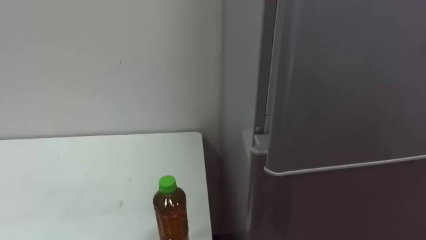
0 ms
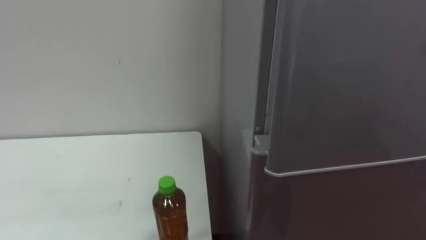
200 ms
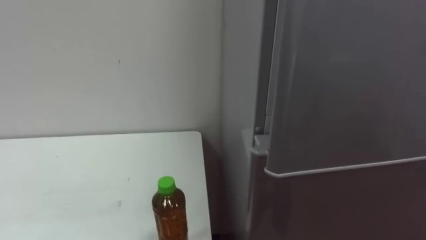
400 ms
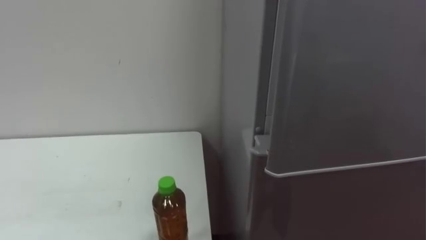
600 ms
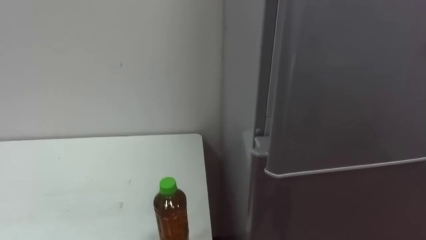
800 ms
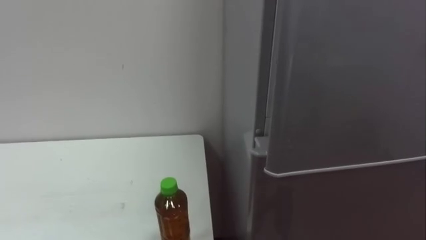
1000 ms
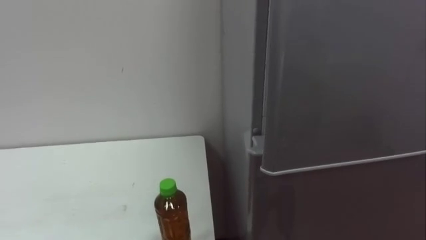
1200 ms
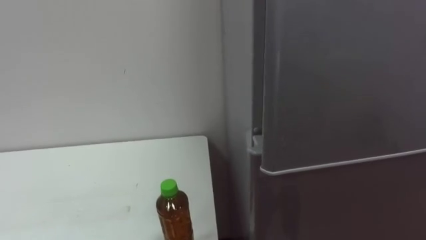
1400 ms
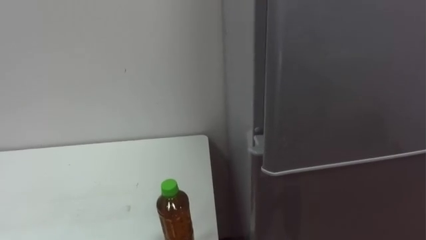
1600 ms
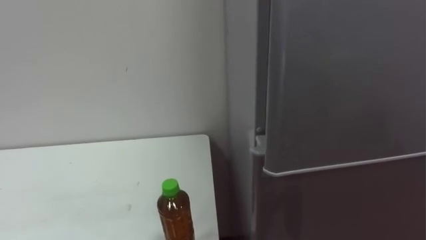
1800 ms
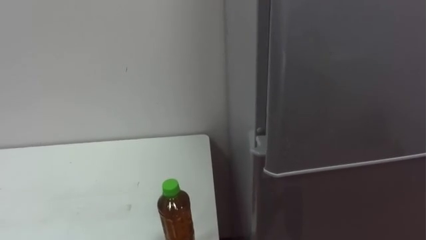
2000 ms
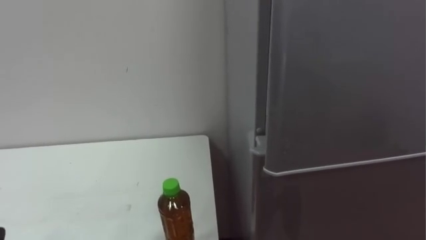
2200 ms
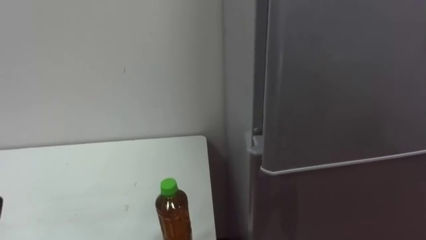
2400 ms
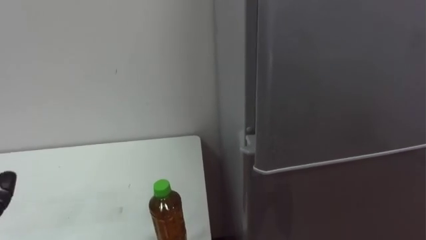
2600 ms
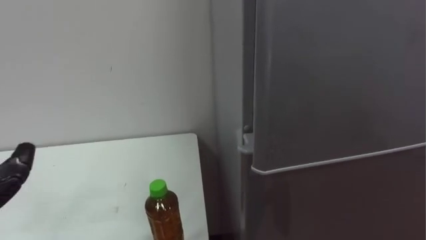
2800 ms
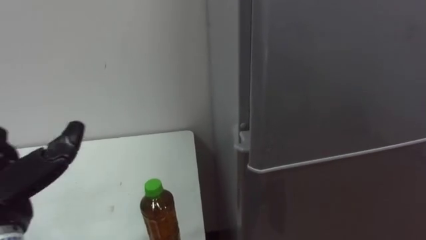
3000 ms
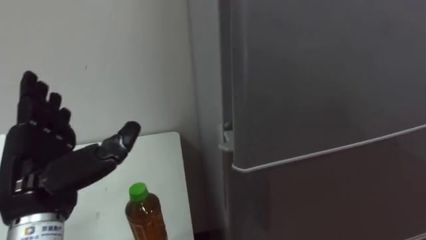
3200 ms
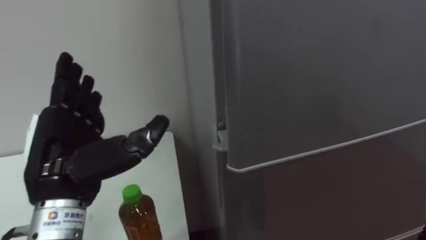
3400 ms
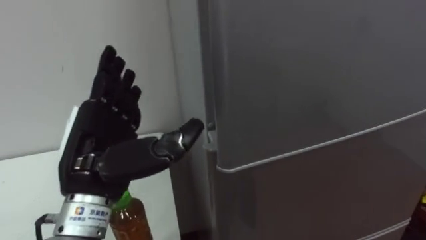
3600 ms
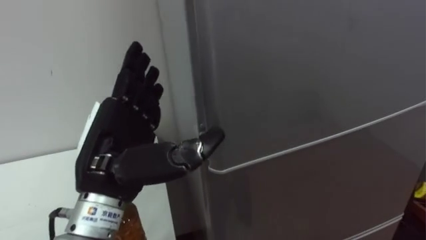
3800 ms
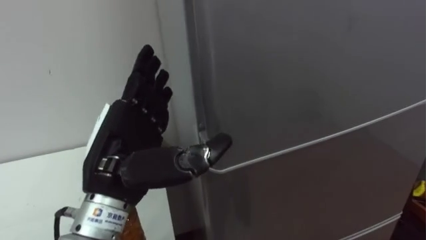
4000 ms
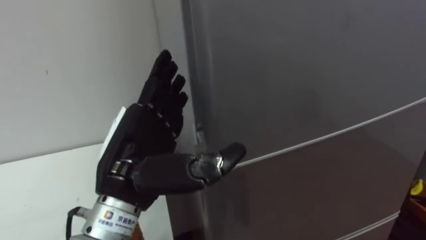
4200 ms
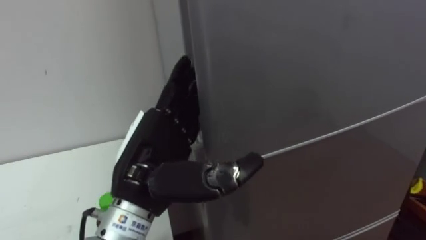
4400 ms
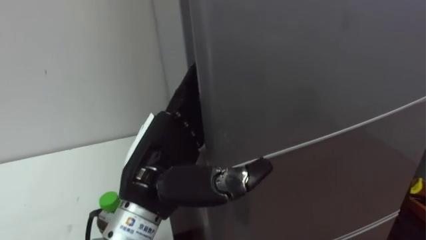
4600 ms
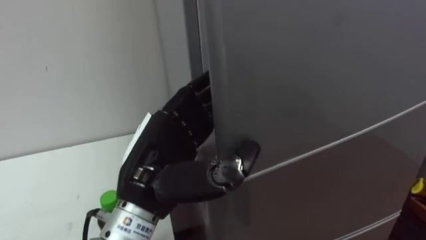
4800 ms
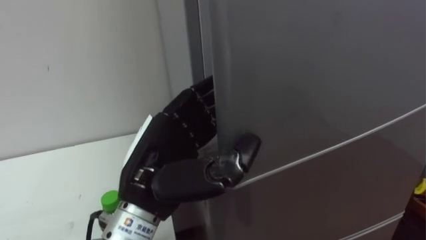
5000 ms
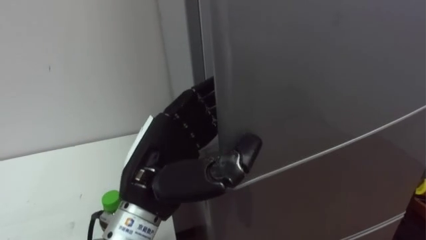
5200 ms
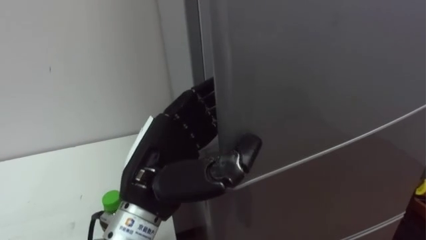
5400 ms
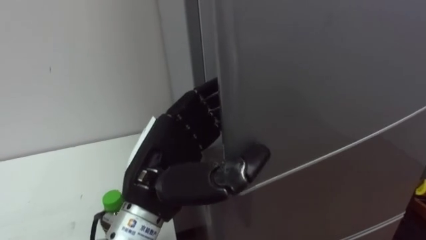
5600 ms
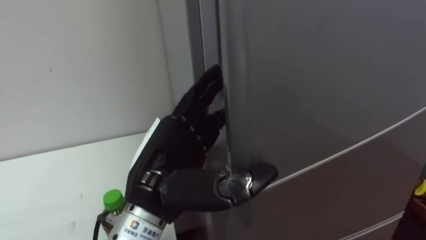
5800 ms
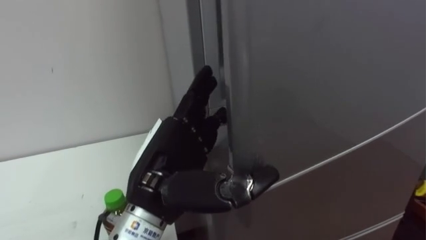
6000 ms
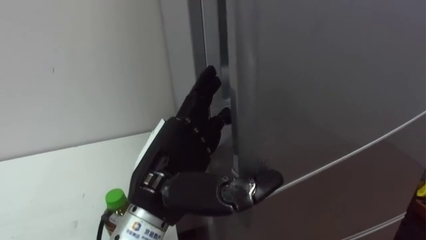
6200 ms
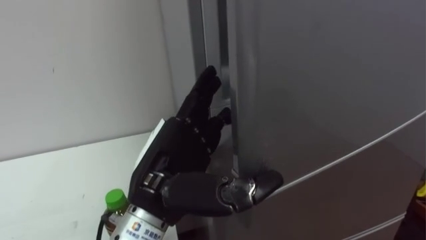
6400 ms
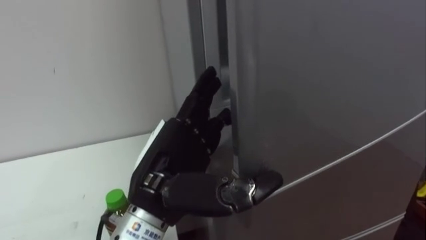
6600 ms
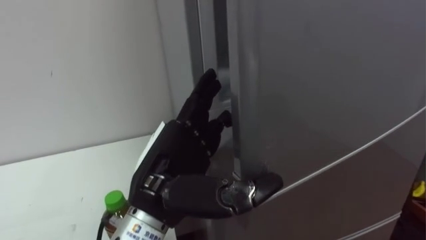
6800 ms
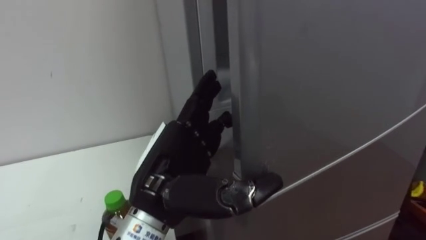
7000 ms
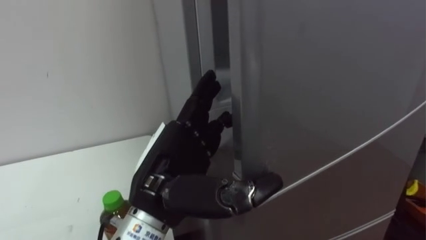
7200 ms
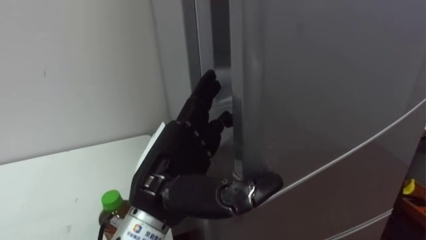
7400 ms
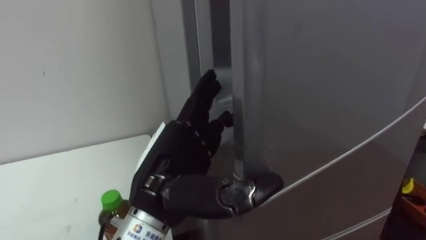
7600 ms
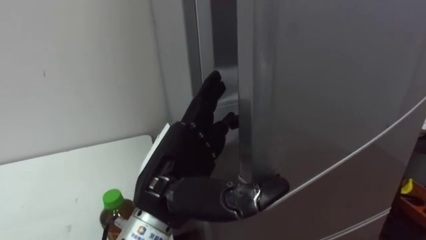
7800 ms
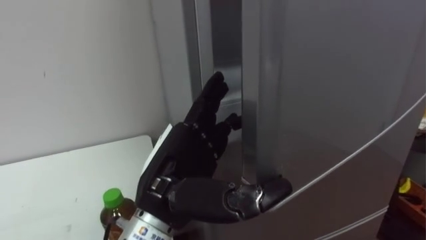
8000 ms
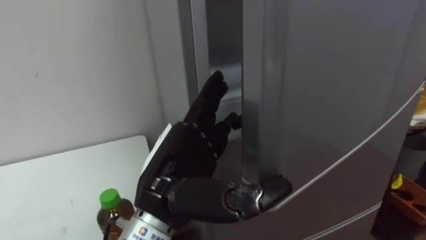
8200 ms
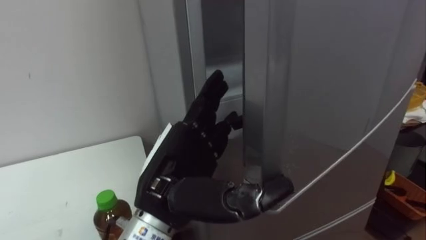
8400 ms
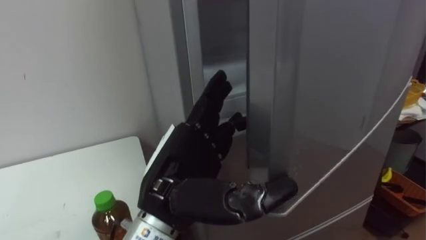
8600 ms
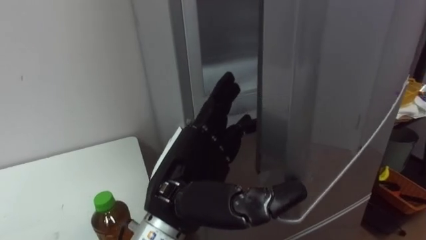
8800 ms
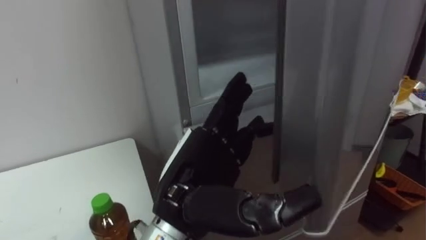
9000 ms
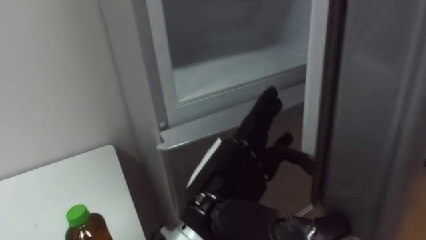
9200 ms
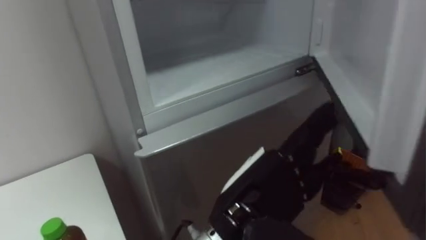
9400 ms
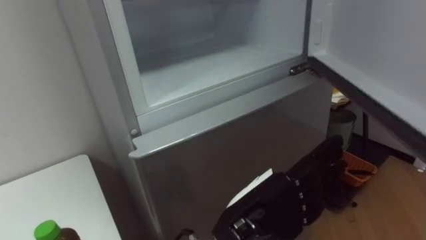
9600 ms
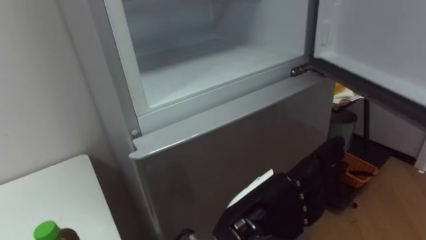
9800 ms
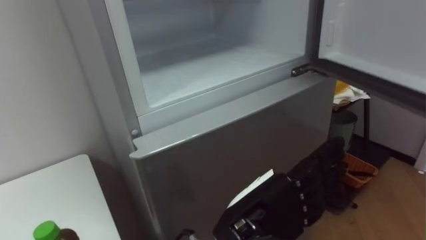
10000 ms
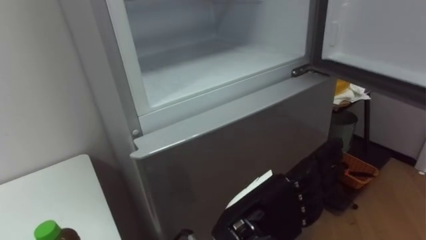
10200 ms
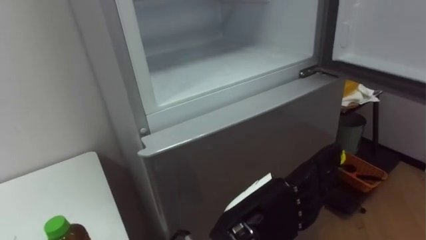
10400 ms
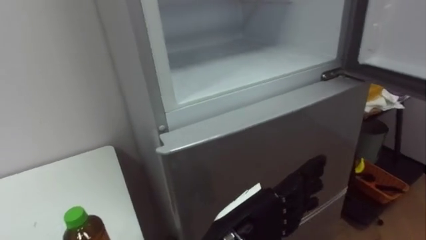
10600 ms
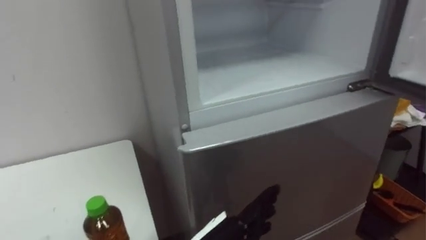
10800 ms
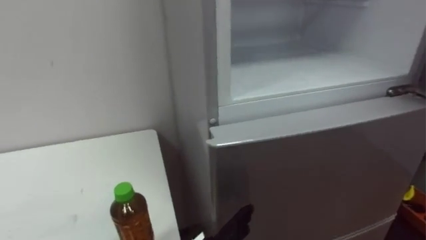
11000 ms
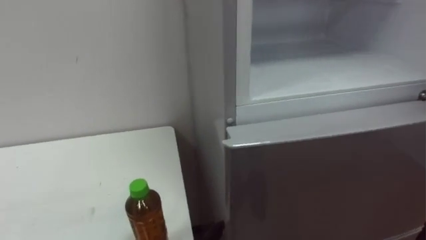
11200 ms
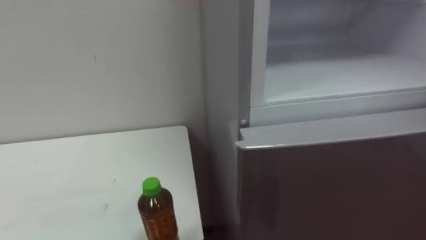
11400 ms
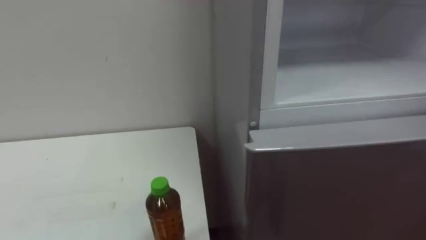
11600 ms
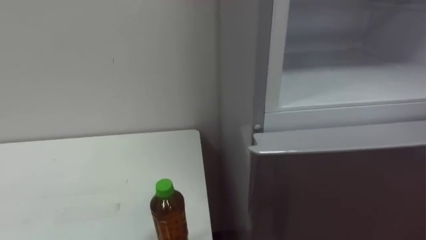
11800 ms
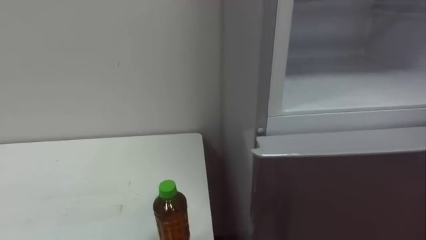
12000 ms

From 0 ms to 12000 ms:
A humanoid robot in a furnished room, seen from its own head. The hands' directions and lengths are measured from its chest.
Task of the whole recording: Open the upper refrigerator door, put the drink from the table into the refrigerator, and then close the refrigerator door.
From 4400 ms to 6000 ms: The left hand closes, then opens again.
From 9000 ms to 10400 ms: The left hand travels to the right by some 5 cm.

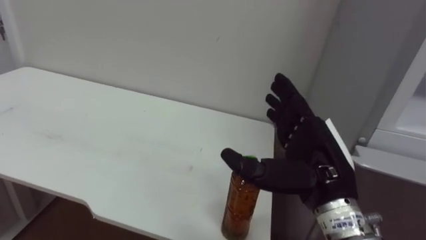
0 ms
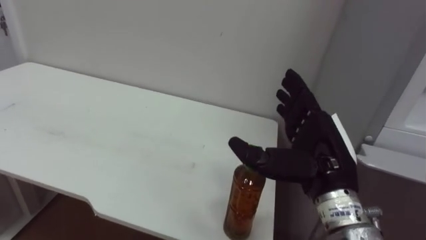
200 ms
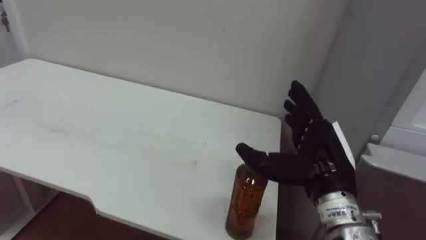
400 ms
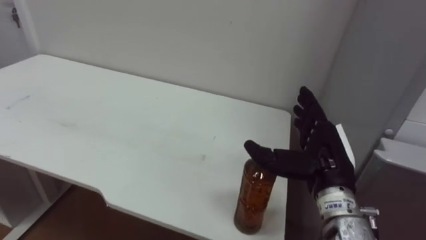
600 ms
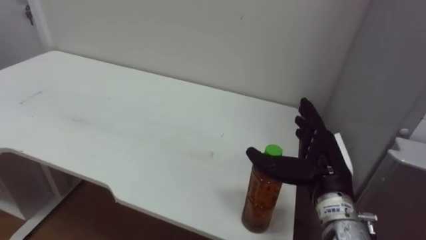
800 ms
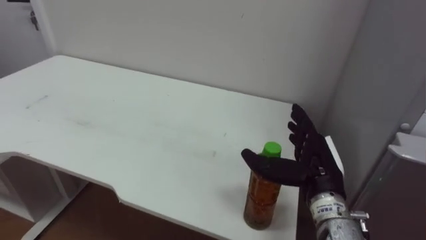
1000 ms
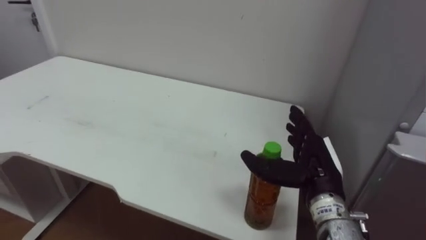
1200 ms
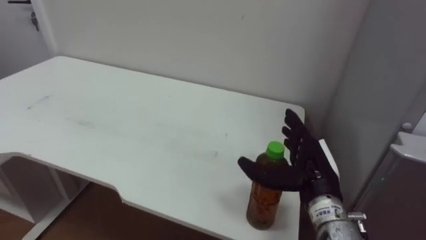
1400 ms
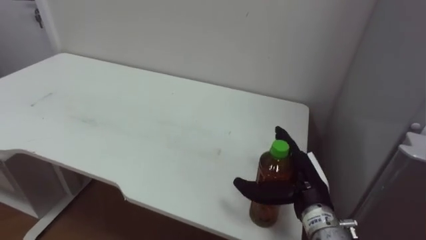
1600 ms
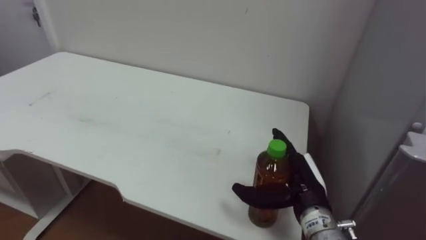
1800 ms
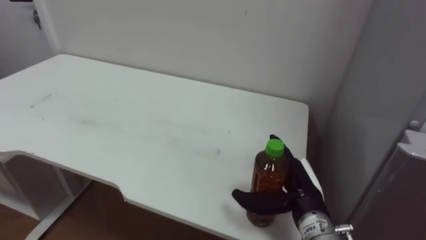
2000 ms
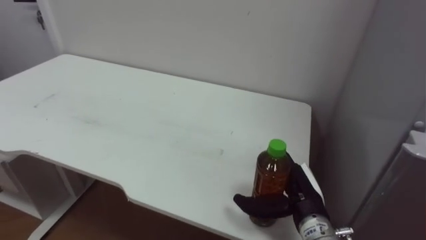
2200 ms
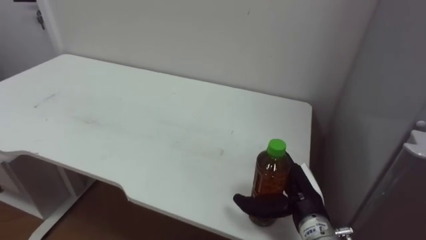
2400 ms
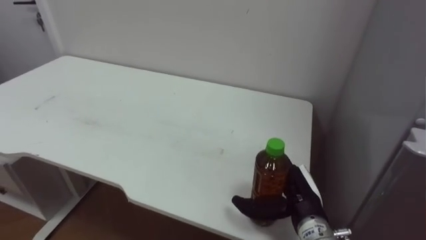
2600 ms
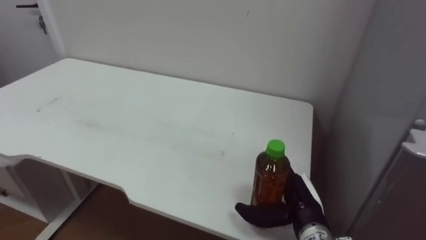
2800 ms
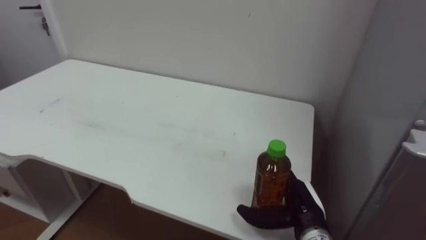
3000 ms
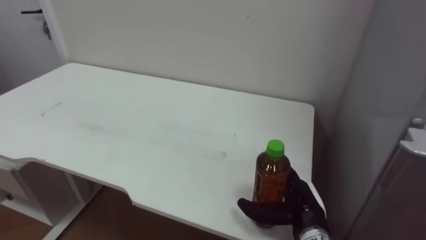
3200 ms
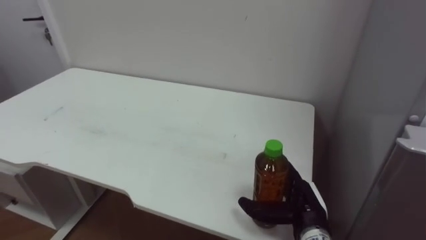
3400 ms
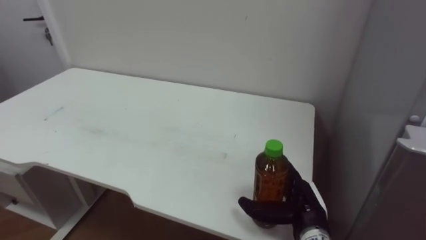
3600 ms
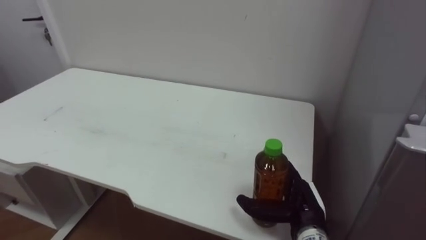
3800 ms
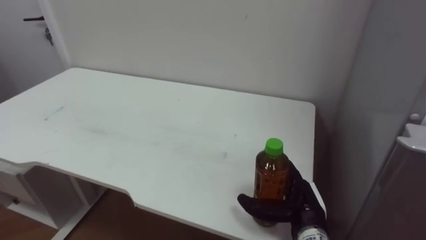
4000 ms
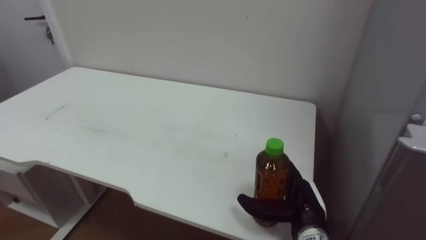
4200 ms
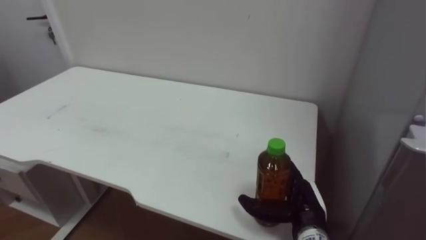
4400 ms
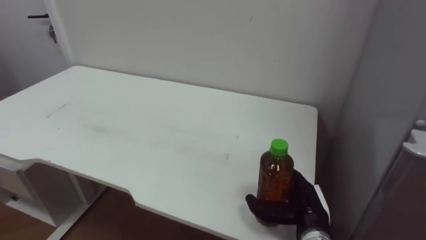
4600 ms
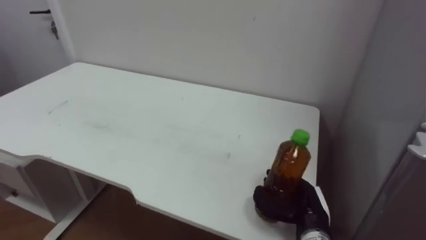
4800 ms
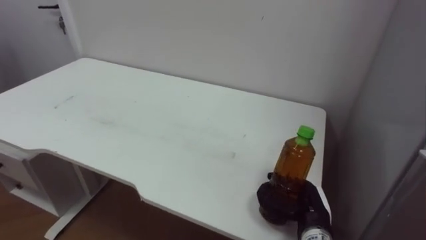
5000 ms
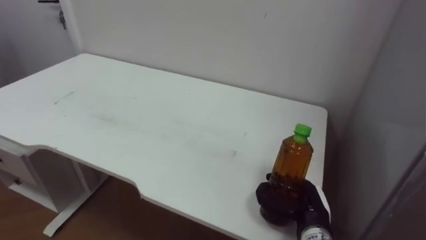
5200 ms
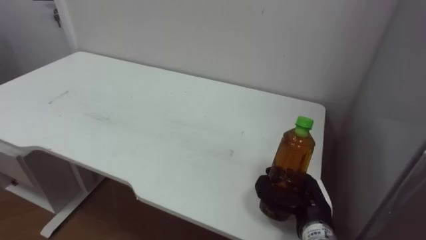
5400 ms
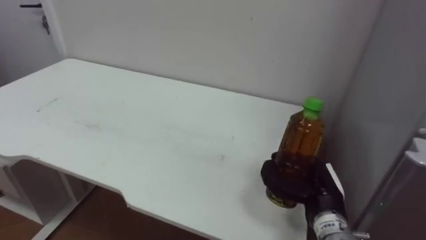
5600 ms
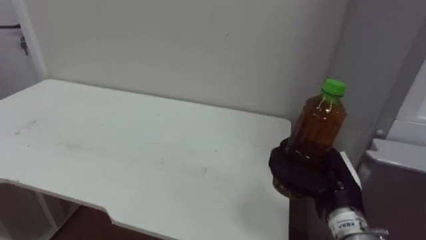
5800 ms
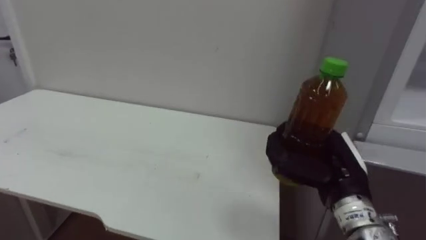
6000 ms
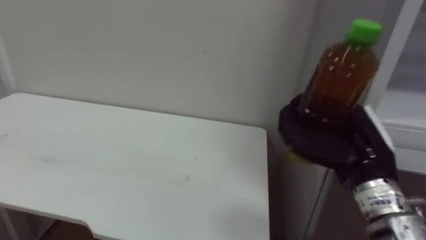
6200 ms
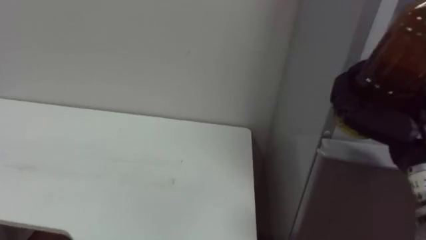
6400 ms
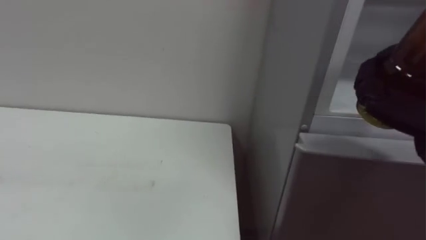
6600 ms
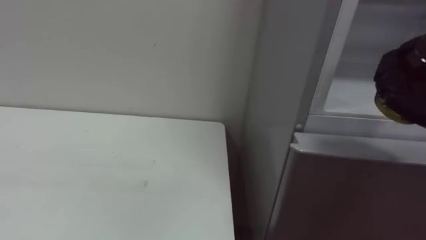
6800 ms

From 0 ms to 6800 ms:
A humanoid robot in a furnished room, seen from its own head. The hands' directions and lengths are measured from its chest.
Task of the whole recording: Open the upper refrigerator door, put the drink from the table into the refrigerator, and then close the refrigerator door.
From 0 ms to 1400 ms: The right hand is displaced downward and forward by about 10 cm.
From 1400 ms to 2800 ms: The right hand moves downward, approximately 10 cm.
From 4000 ms to 5400 ms: The right hand closes up.
